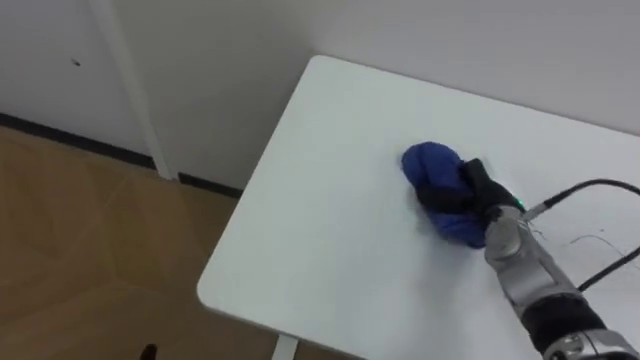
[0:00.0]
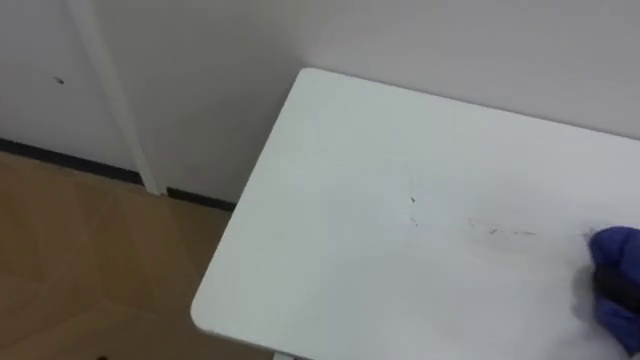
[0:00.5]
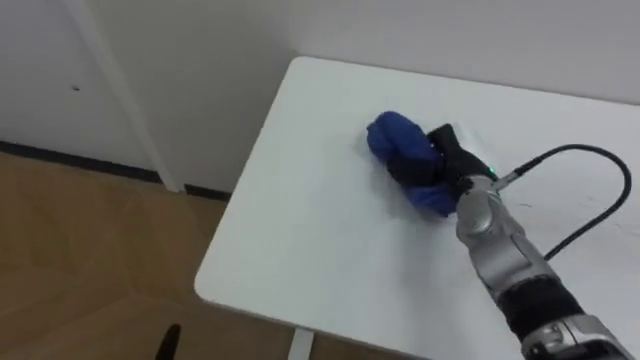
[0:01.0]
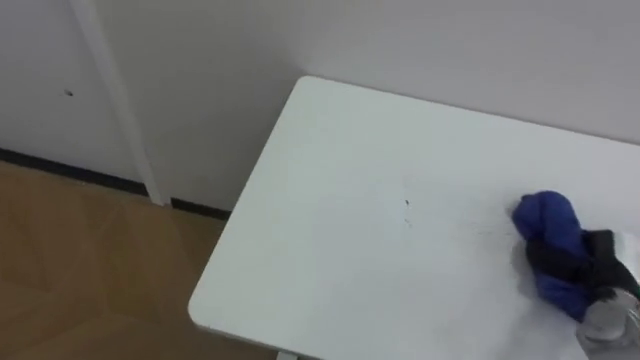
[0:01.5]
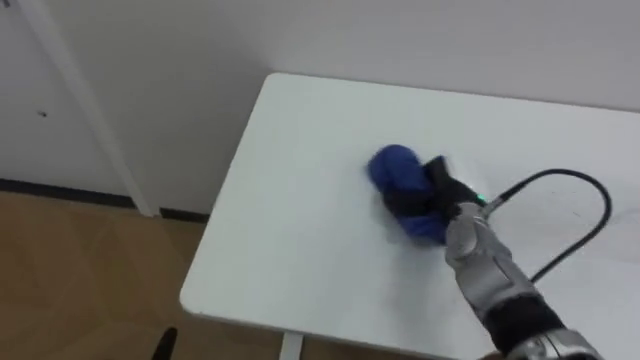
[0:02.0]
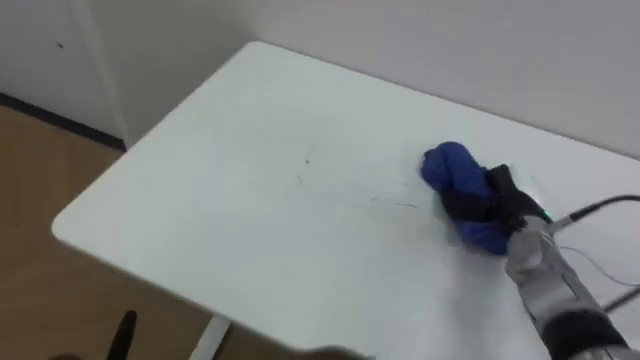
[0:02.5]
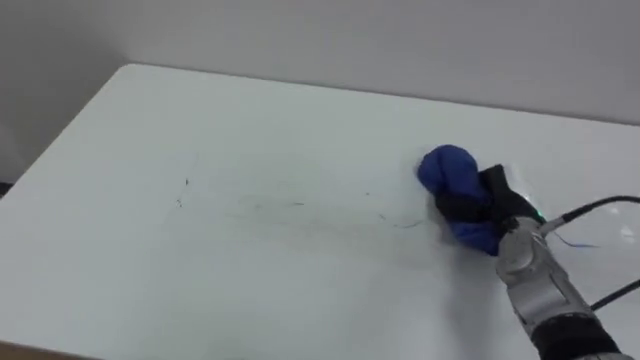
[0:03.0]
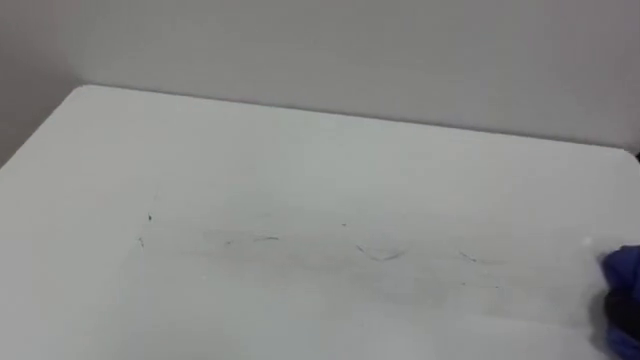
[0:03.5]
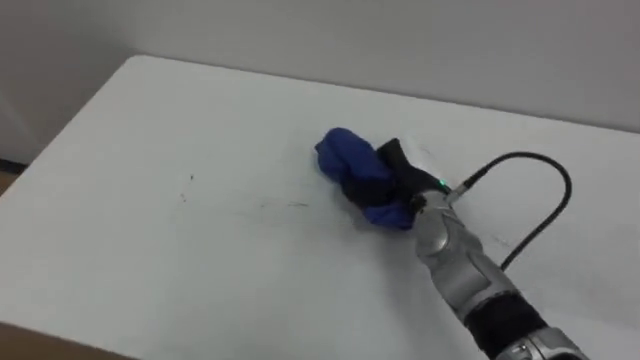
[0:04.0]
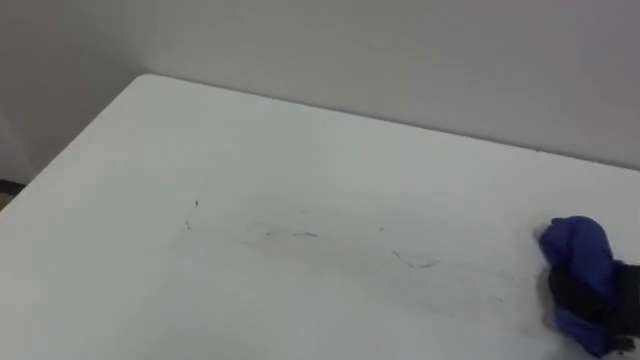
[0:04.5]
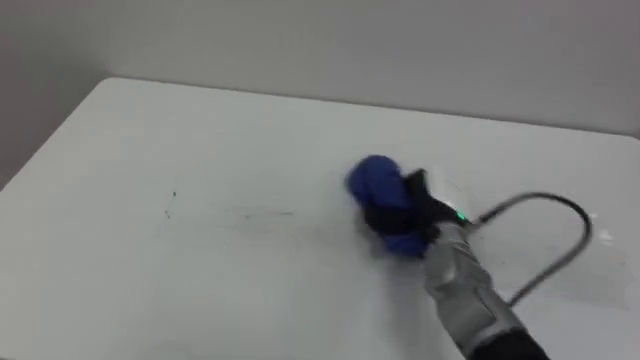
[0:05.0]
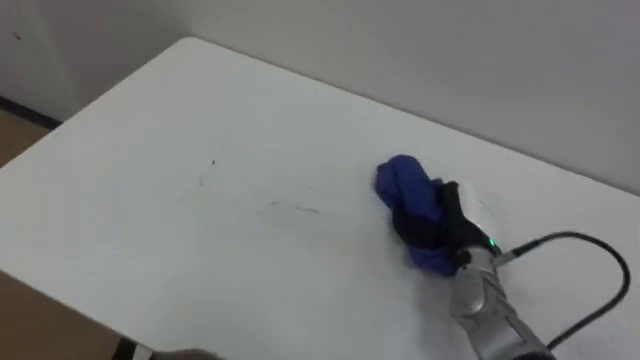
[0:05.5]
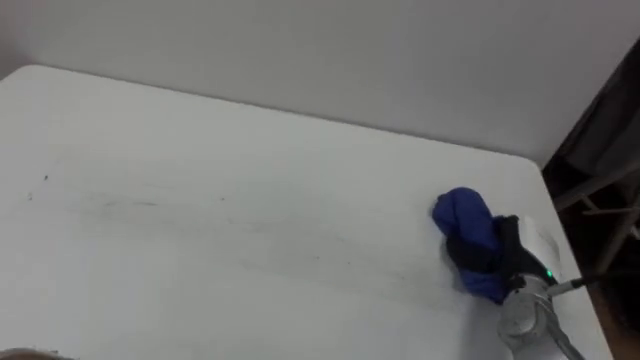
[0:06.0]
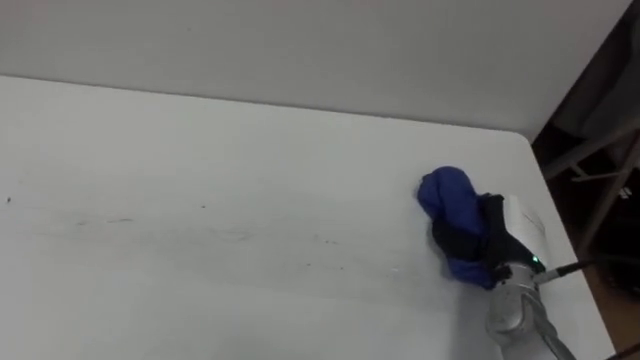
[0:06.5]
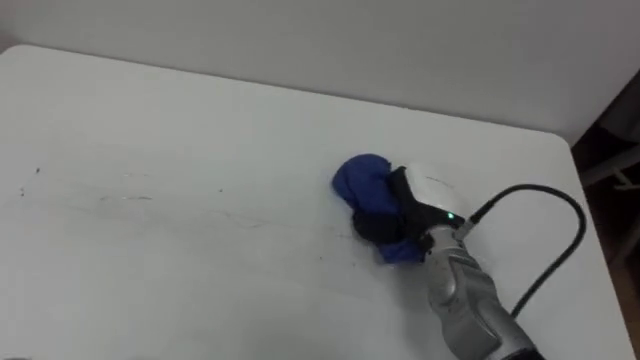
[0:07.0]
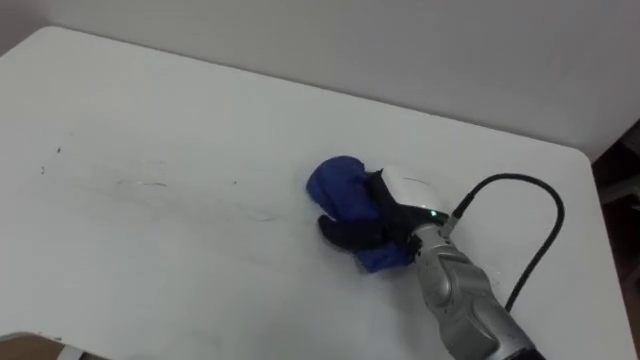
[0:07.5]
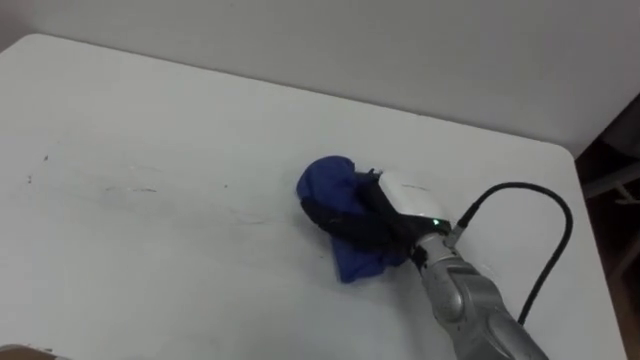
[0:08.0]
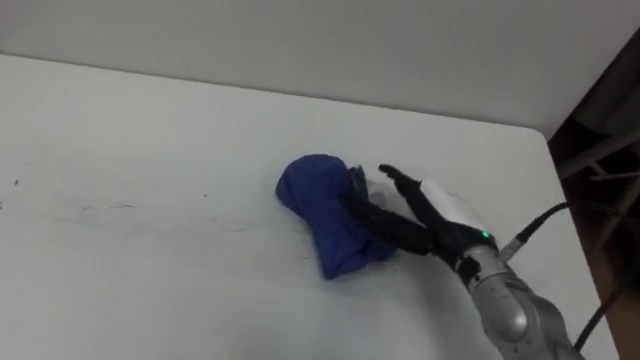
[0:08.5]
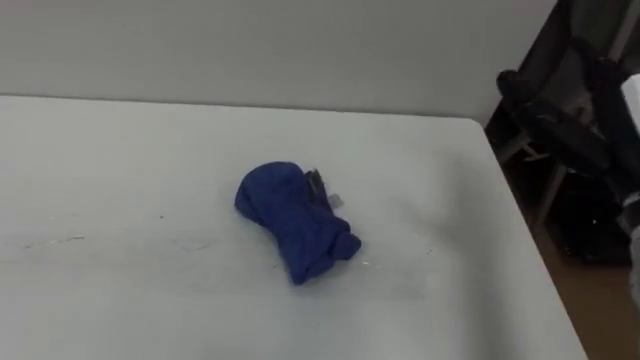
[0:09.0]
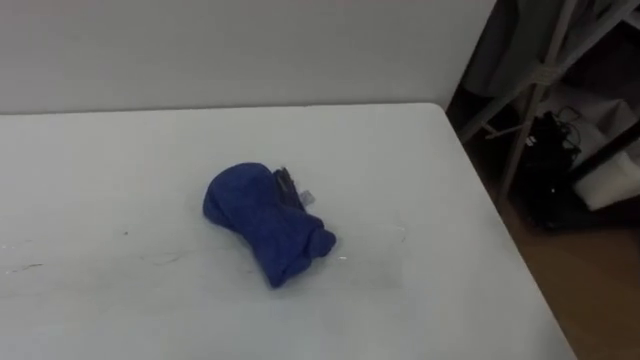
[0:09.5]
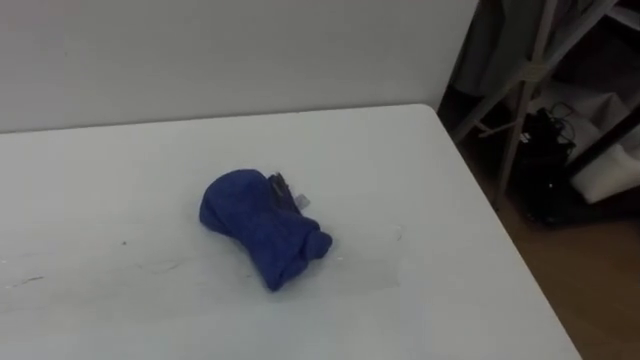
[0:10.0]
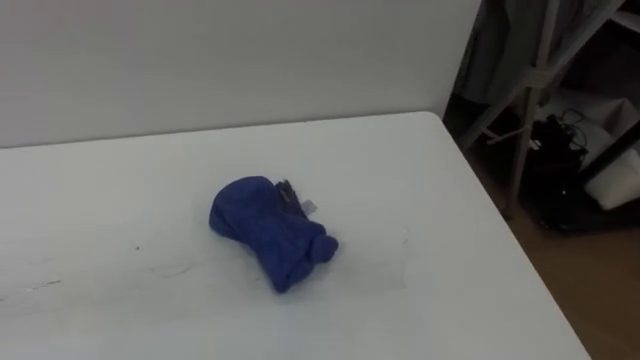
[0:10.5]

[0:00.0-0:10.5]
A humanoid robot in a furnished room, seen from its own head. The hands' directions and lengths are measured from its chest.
Task of the whole recording: Wipe the blue pen marks off the table with the rag.
0:06.5 to 0:08.5: The right hand heads to the left and upward, covering about 15 cm, and opens.

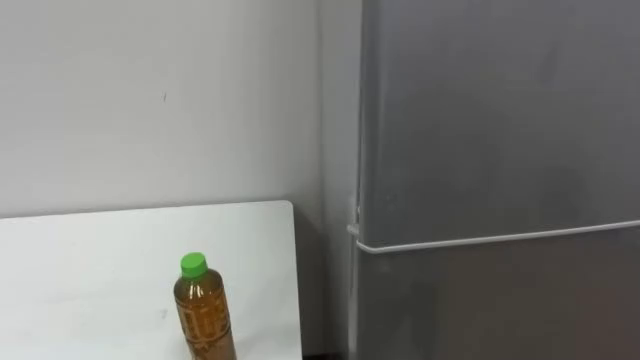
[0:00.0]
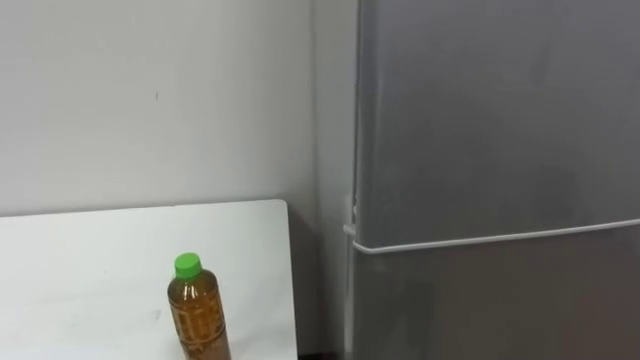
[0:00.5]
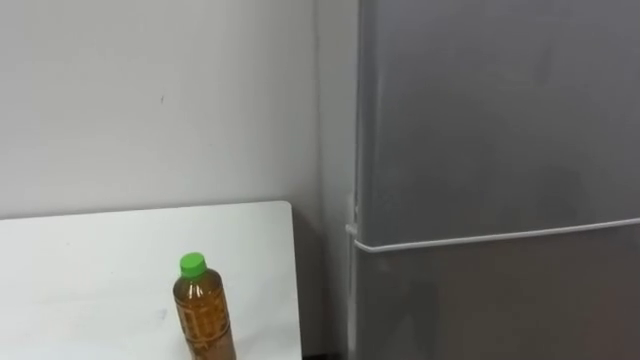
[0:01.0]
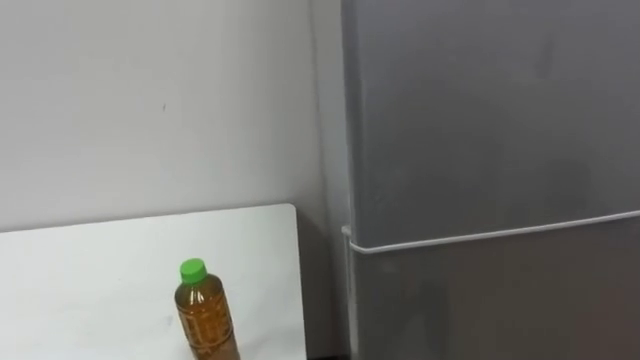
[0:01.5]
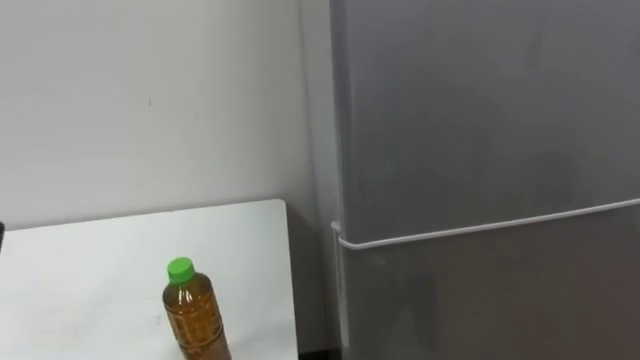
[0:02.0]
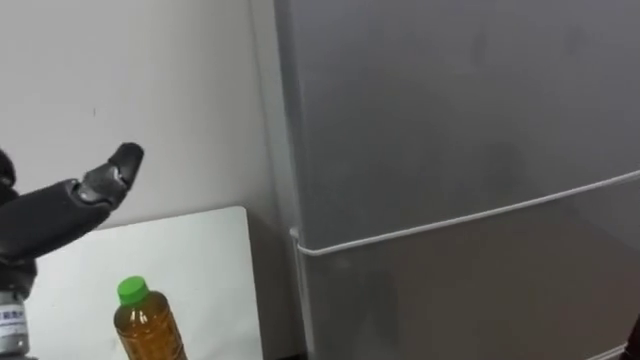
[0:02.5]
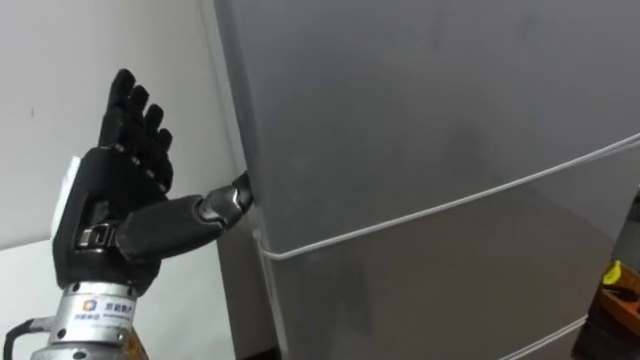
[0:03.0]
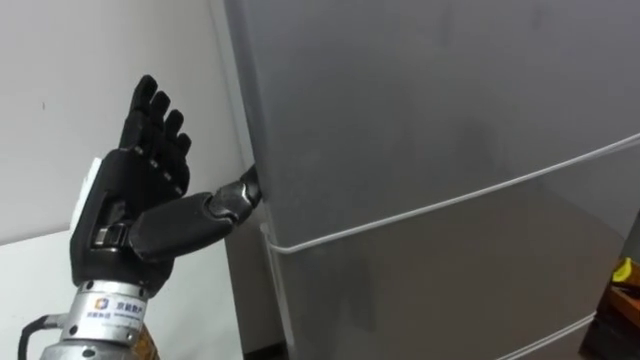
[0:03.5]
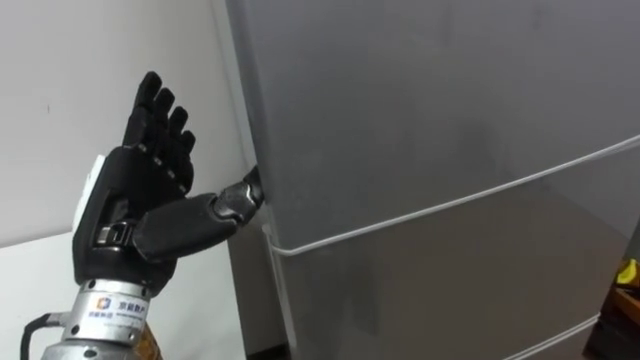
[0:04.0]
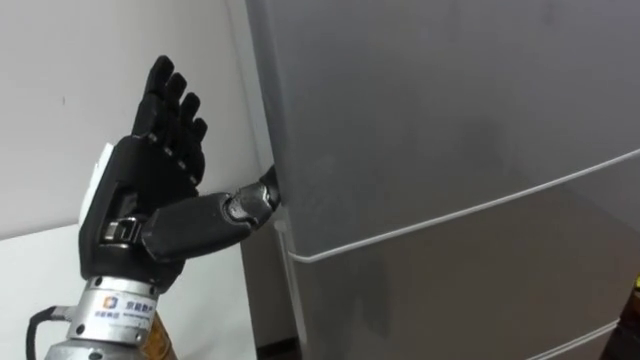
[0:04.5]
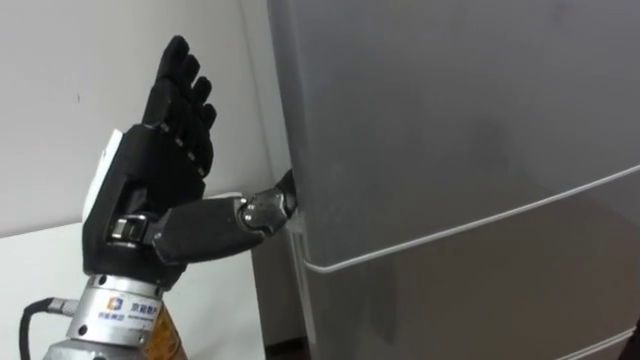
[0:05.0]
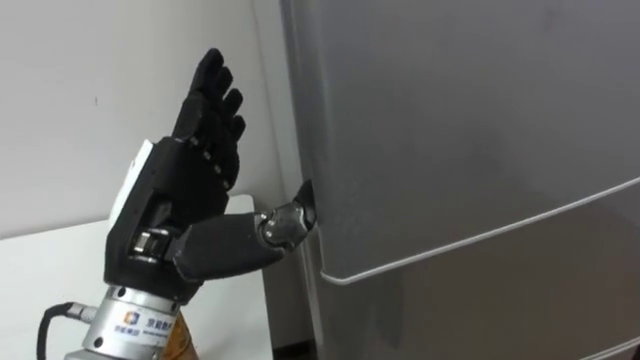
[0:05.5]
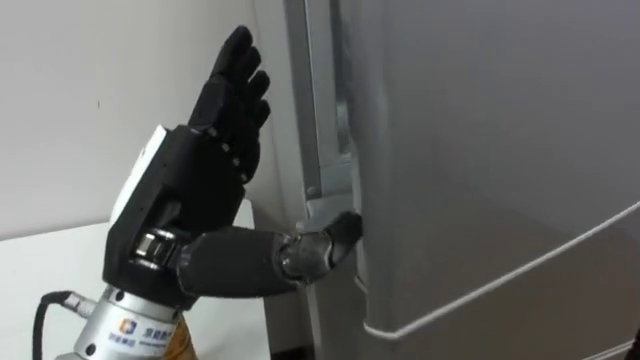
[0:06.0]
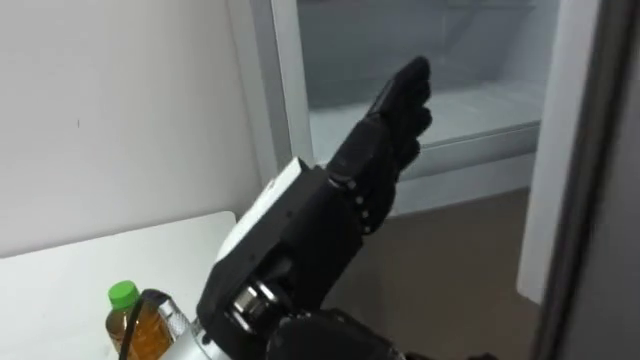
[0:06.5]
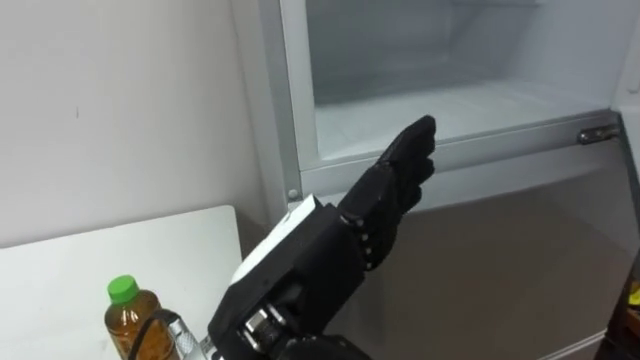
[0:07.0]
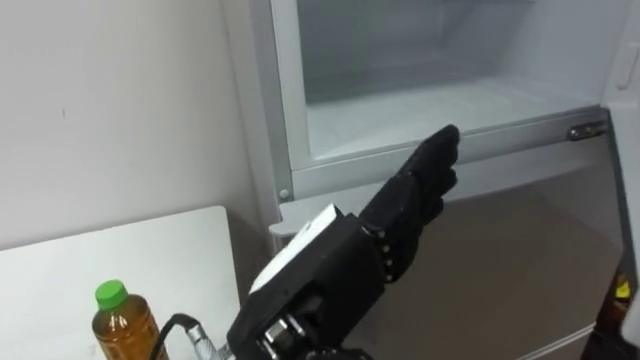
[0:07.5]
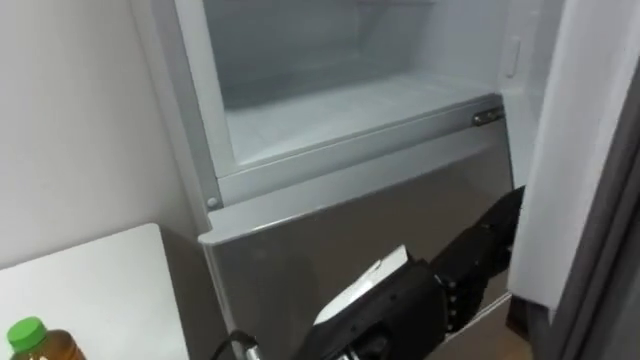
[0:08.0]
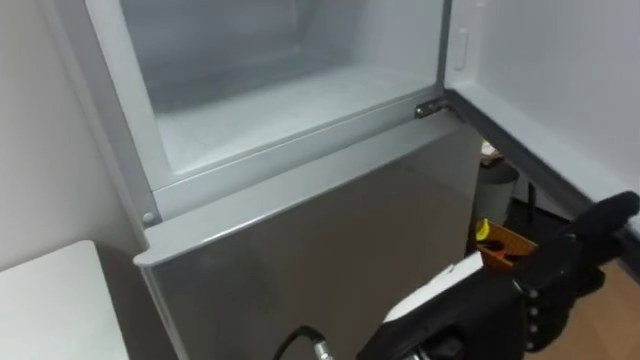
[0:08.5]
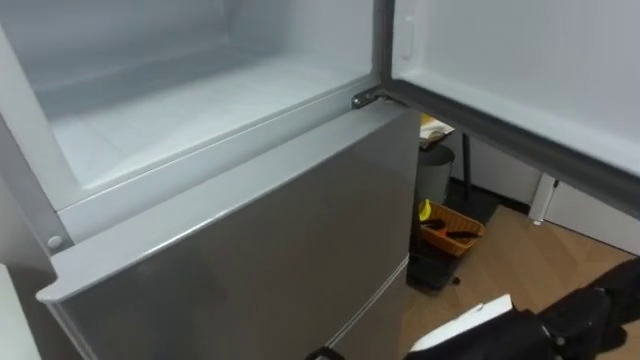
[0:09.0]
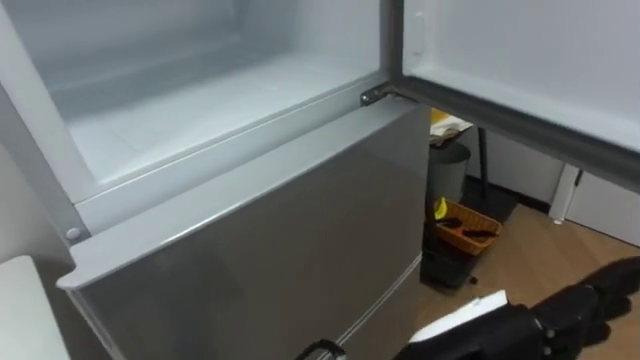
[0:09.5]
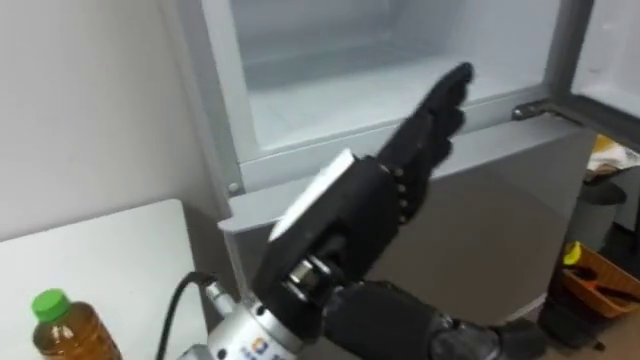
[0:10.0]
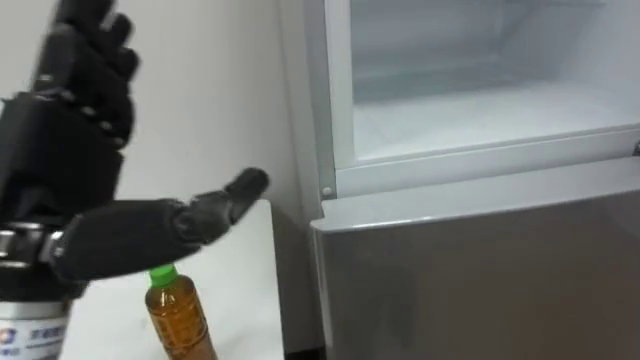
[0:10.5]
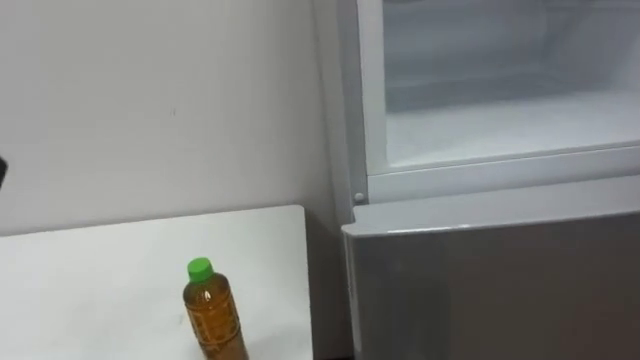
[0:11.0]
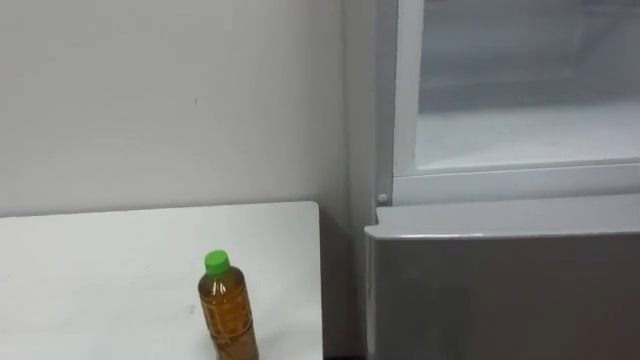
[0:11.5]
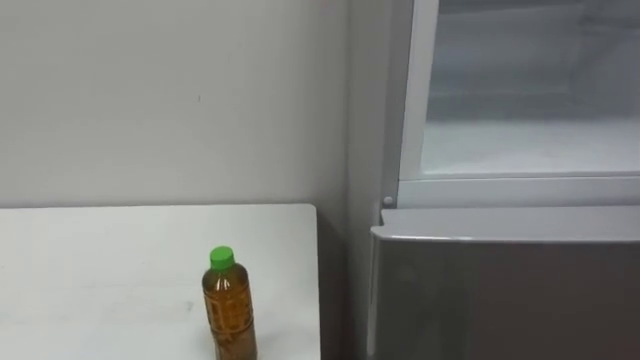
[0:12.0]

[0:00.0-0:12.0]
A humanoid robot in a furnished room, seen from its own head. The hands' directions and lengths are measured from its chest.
Task of the whole recording: Open the upper refrigerator door, put the drink from the table into the refrigerator, and then close the refrigerator door.
0:04.0 to 0:06.0: The left hand is displaced to the right by about 5 cm.
0:06.0 to 0:08.0: The left hand heads to the right, downward and backward, covering about 15 cm.
0:08.0 to 0:10.0: The left hand shifts approximately 5 cm upward, and travels to the right and back again, some 5 cm each way.
